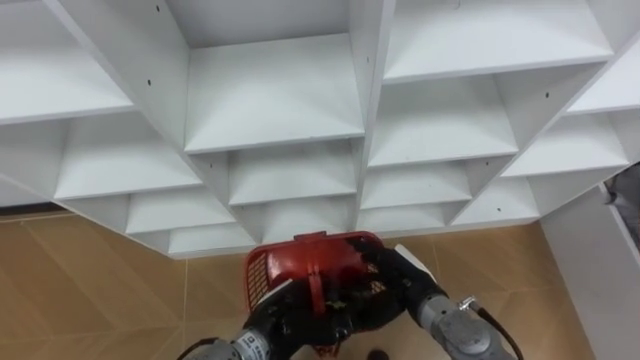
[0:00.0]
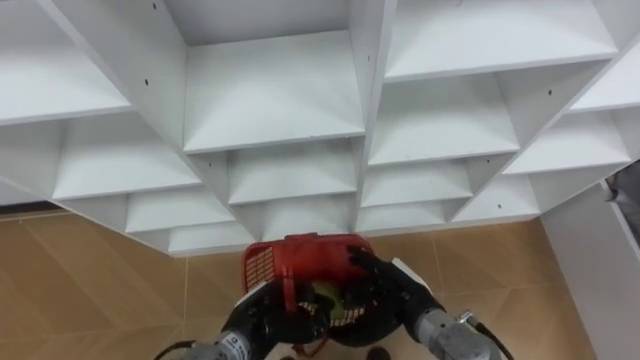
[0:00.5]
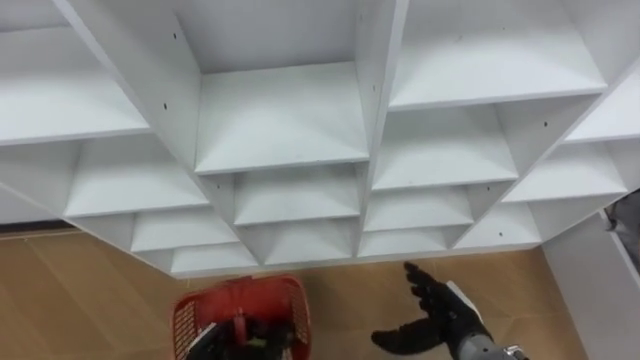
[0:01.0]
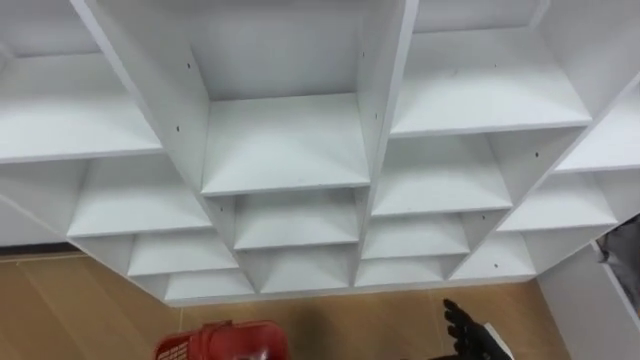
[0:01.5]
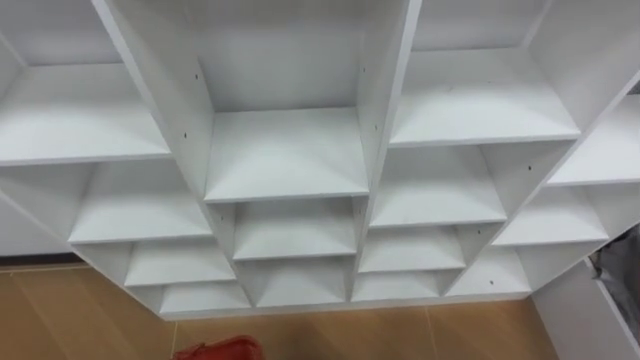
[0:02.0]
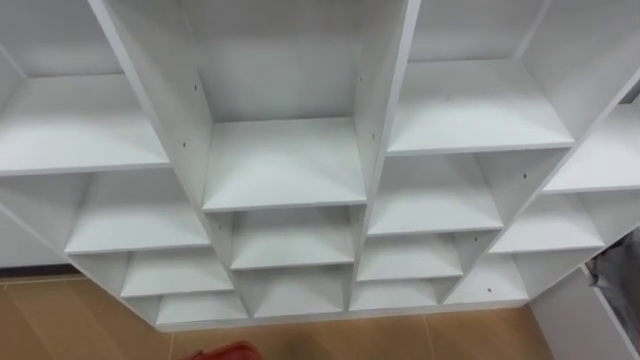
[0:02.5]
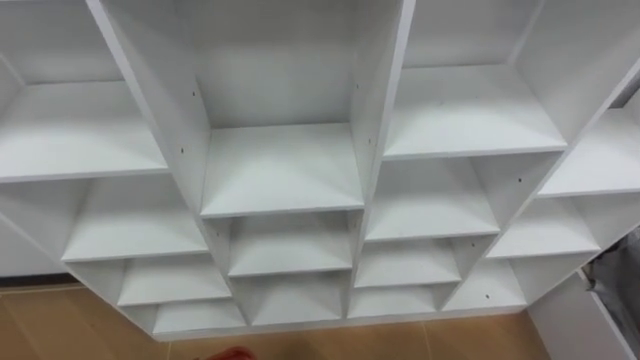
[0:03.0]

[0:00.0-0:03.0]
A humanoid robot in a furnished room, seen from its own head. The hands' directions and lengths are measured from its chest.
Task of the whole recording: Hold the basket and collect the fruits from 3 different cells of the closet into it.
0:00.0 to 0:01.5: The right hand moves to the right, backward and downward, roughly 15 cm.

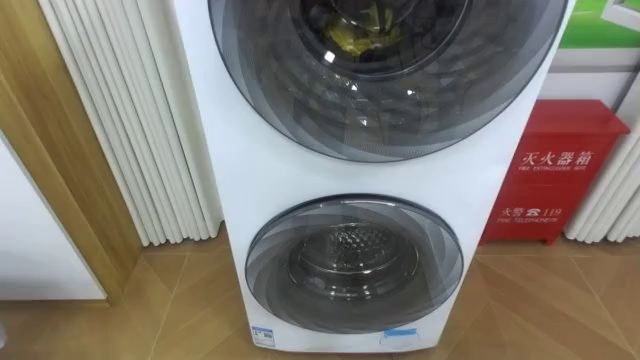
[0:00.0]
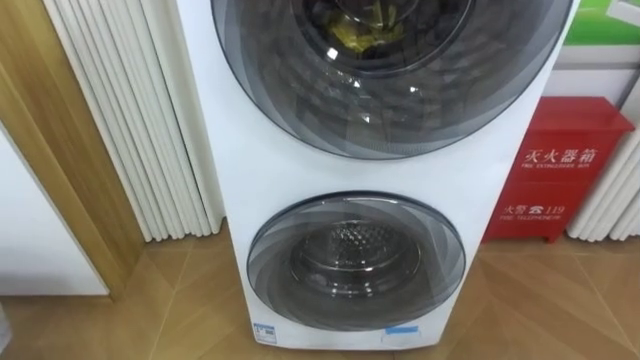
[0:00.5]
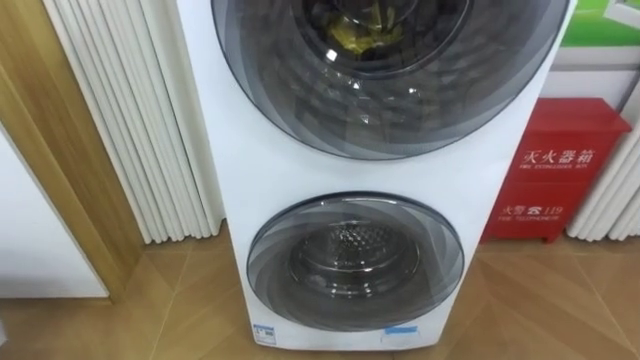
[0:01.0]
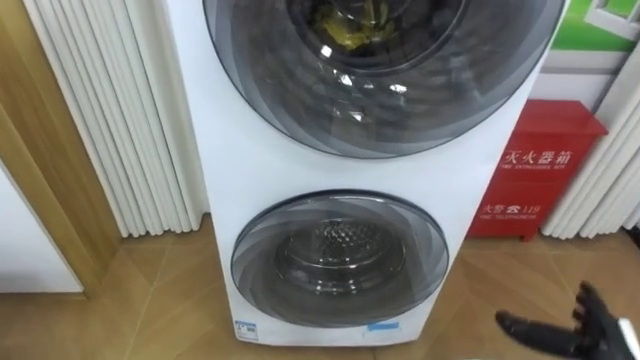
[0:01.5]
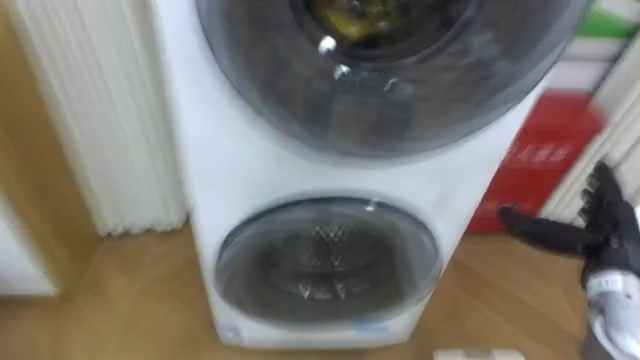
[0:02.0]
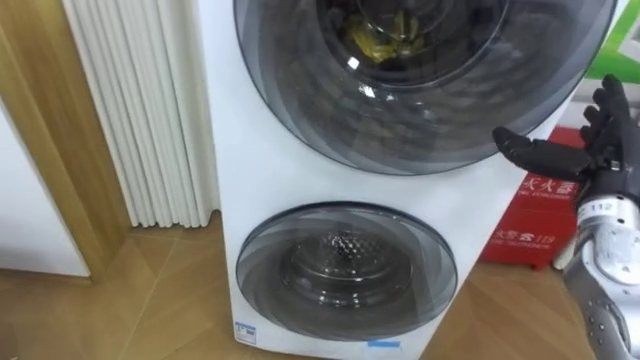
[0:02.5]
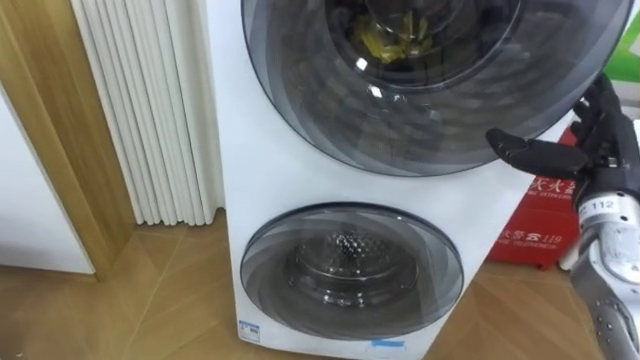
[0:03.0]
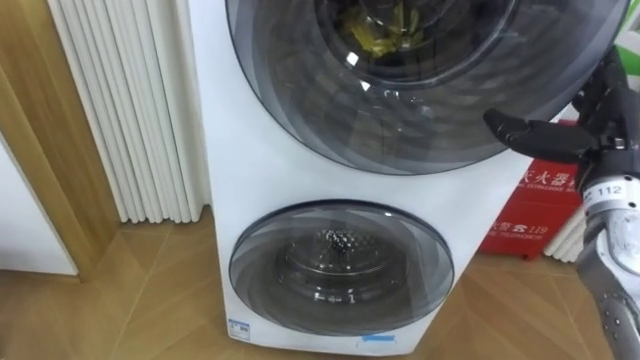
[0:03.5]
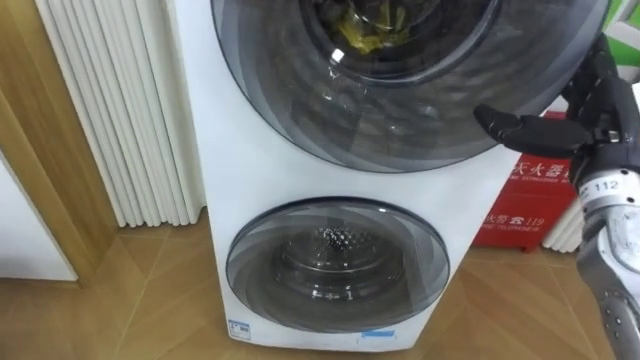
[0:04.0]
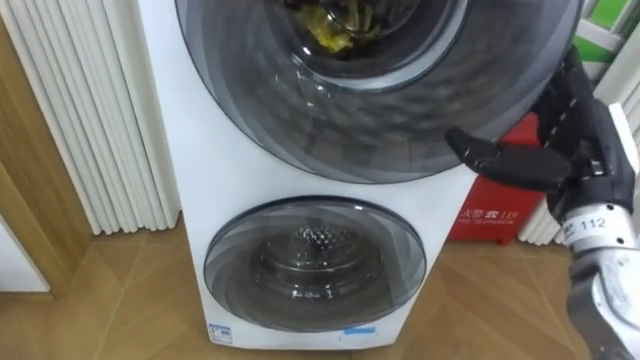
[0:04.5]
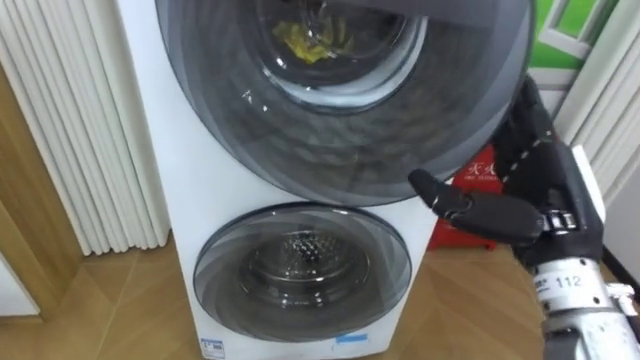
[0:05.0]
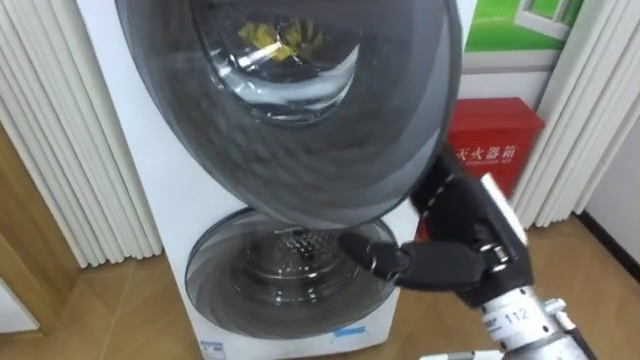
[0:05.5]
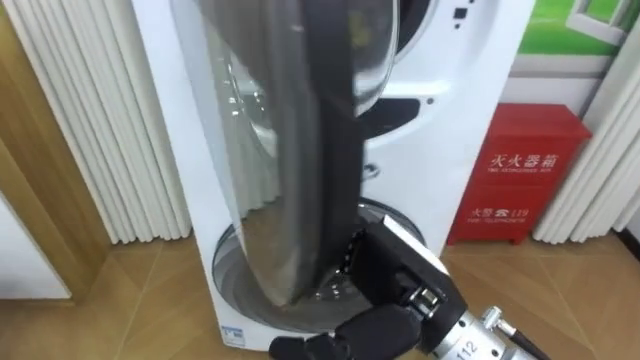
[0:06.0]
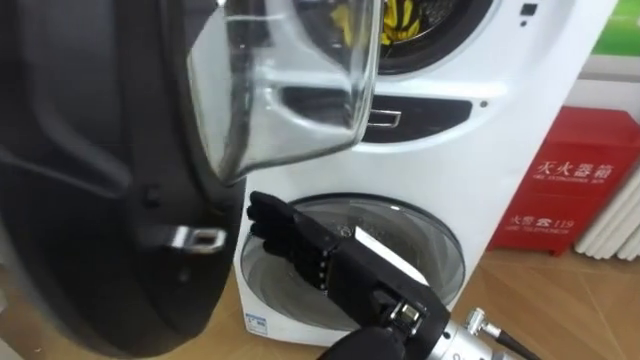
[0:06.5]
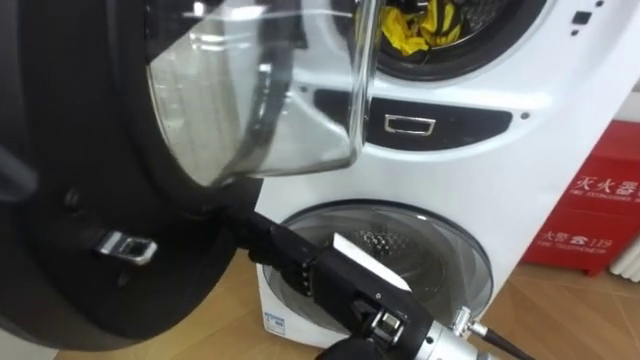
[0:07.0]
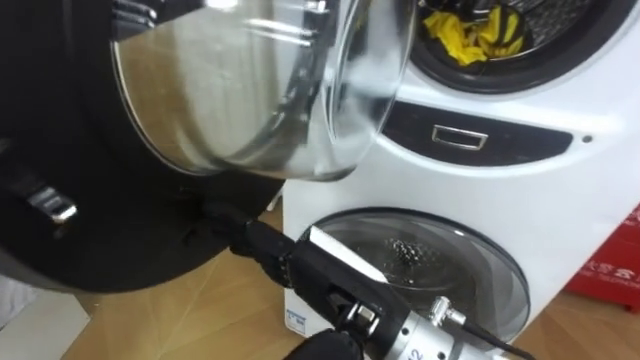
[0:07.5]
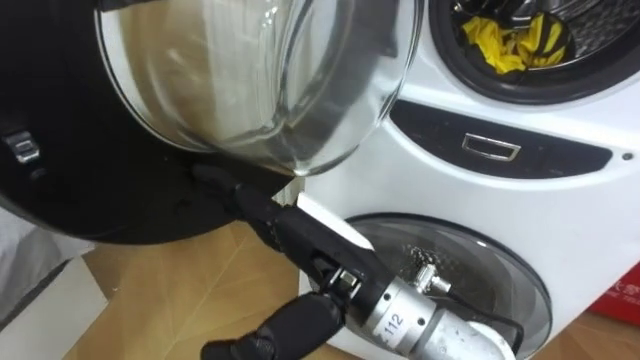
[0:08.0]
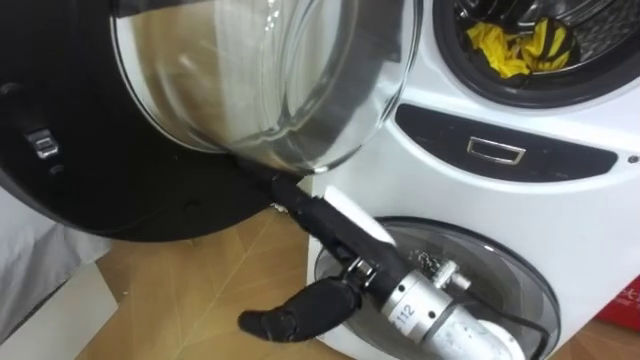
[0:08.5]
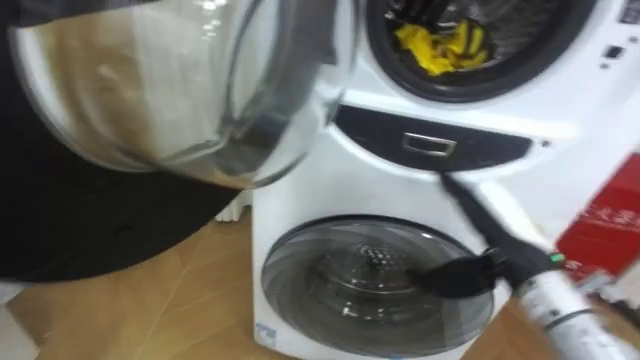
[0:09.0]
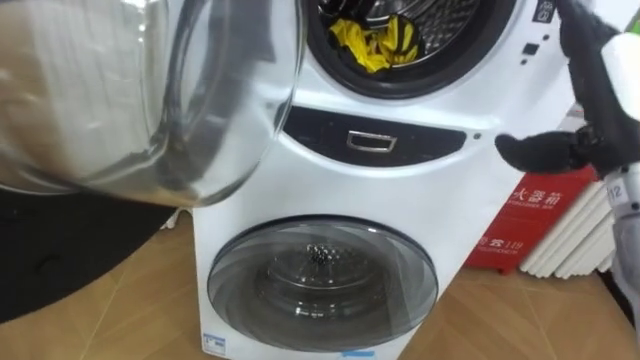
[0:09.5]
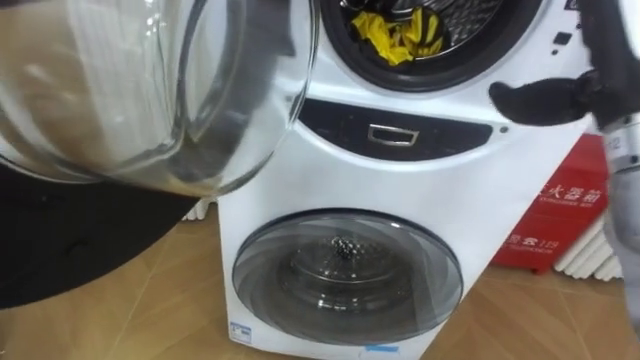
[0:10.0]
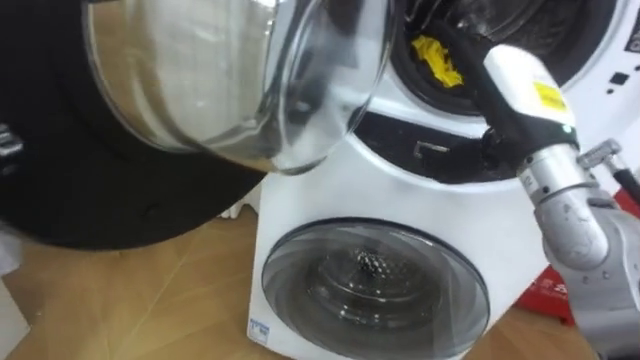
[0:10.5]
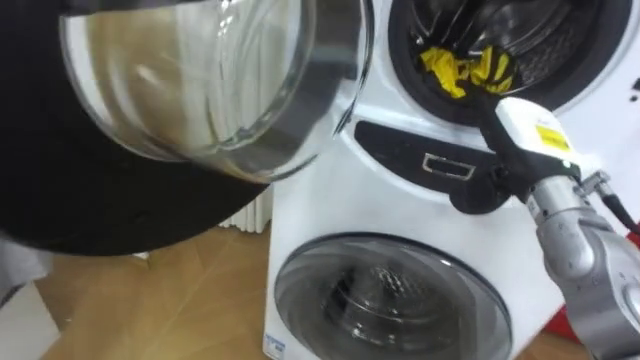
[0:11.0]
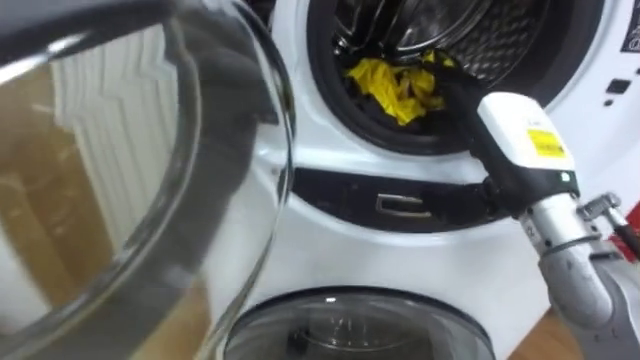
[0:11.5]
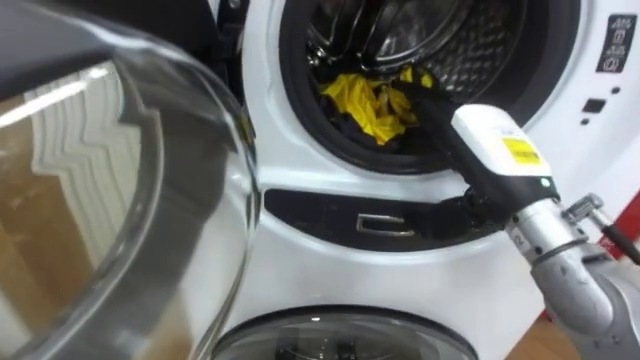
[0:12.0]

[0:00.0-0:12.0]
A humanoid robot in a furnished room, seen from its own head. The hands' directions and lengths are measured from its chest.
Task of the whole recording: Open the washing machine door, take out the yellow clothes, place them in the box on the right, and close the washing machine door.
0:02.0 to 0:04.0: The right hand is displaced upward and to the left by approximately 15 cm.
0:04.0 to 0:06.0: The right hand heads to the left and backward, covering some 25 cm.
0:06.0 to 0:08.0: The right hand shifts roughly 5 cm to the left.
0:08.0 to 0:10.0: The right hand heads to the right and upward, covering approximately 25 cm.
0:10.0 to 0:12.0: The right hand is displaced downward and to the left by about 15 cm.

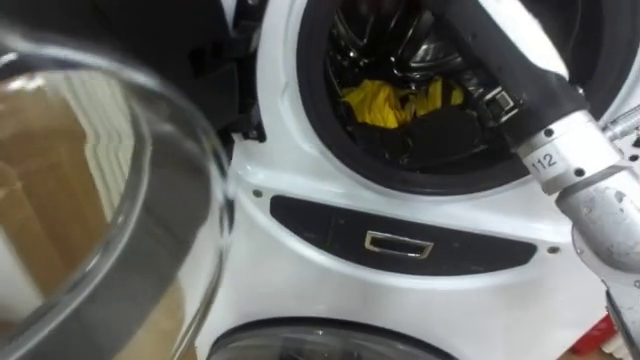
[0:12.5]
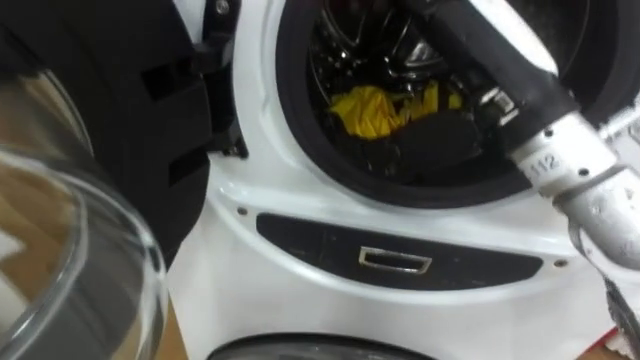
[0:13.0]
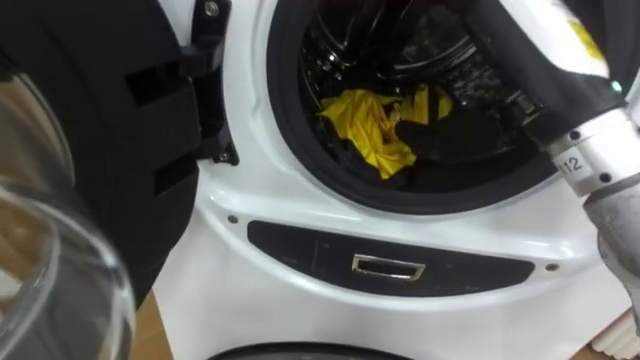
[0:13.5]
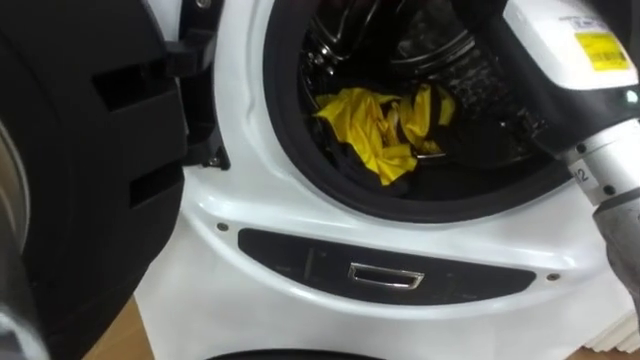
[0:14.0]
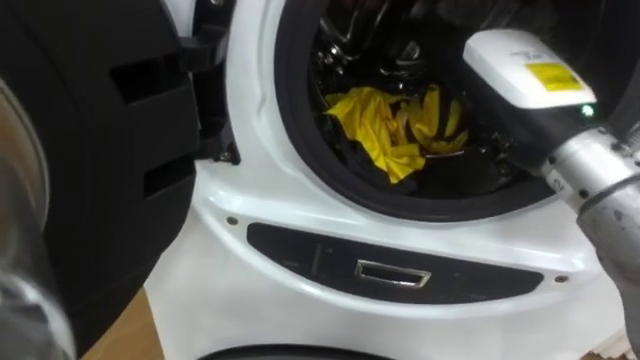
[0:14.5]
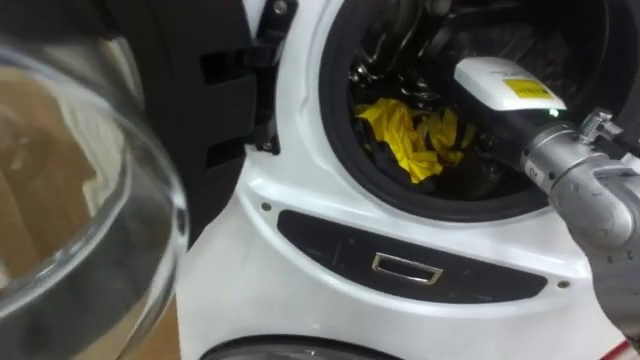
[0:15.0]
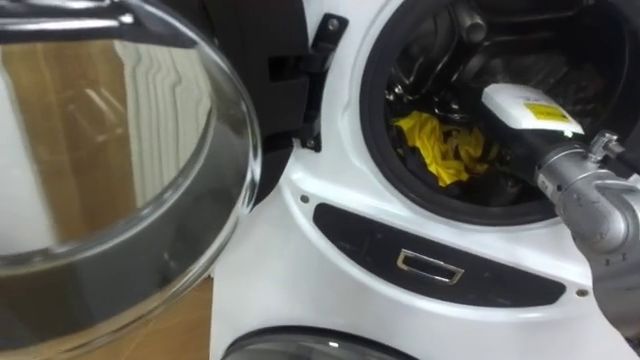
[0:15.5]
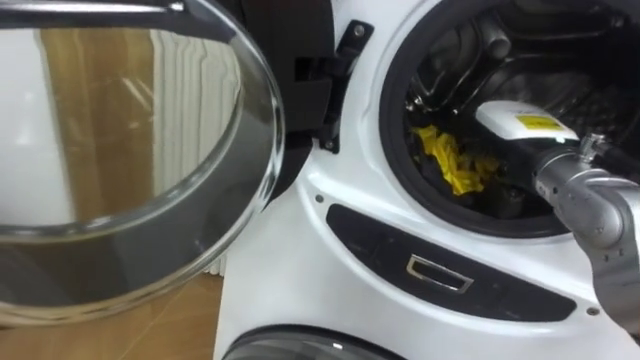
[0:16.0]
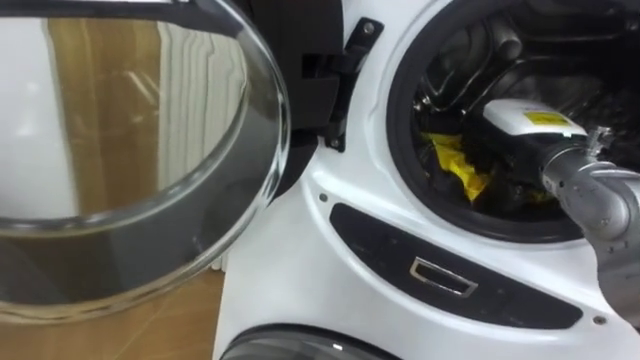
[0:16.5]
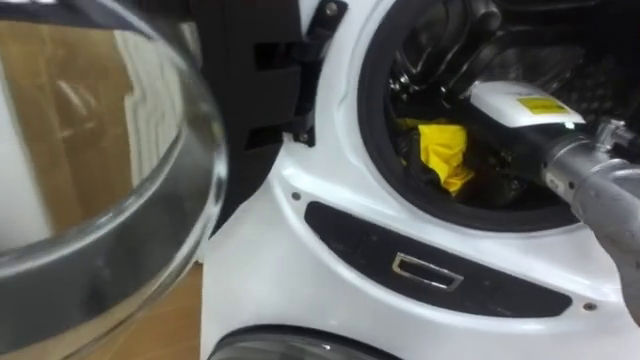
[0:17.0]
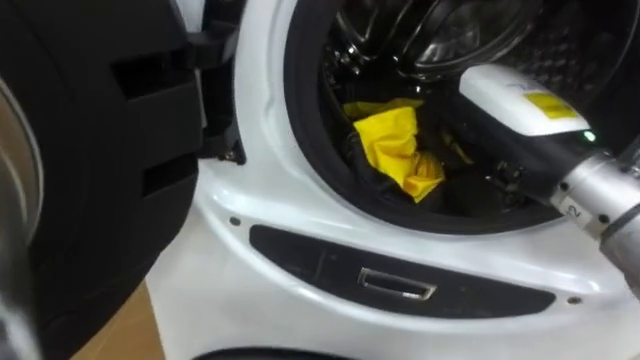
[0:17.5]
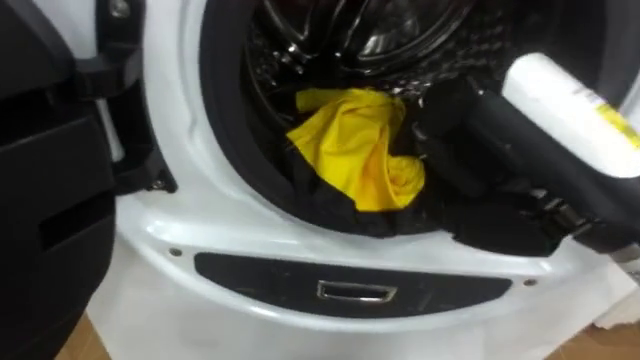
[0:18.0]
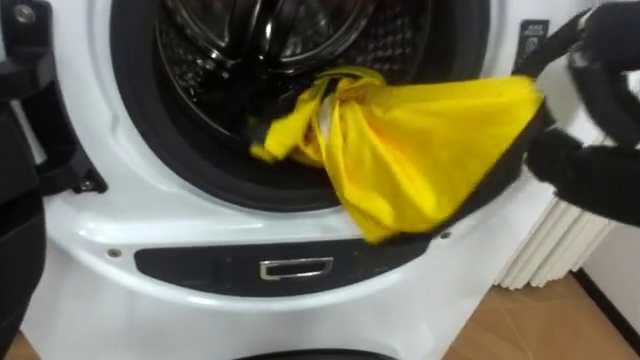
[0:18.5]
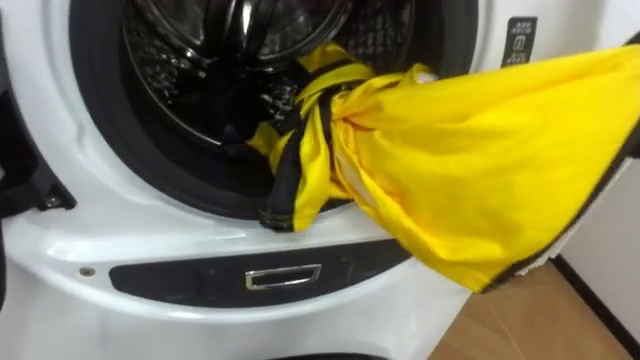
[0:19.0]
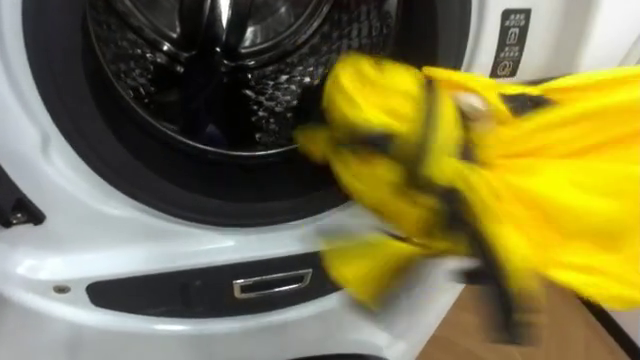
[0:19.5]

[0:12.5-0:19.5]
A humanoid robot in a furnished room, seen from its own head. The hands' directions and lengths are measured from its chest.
Task of the whole recording: Open the washing machine door, take out the yellow clothes, place them in the box on the right, and close the washing machine door.
0:14.5 to 0:16.0: The right hand moves downward and forward, about 10 cm.
0:16.0 to 0:17.5: The right hand is displaced upward and backward by approximately 10 cm, and closes.
